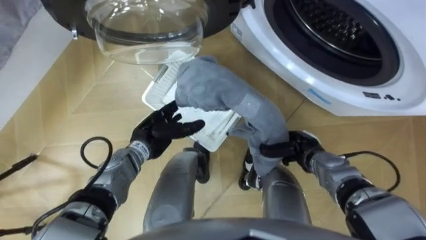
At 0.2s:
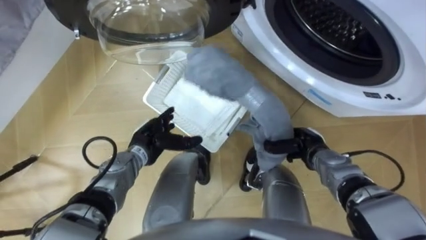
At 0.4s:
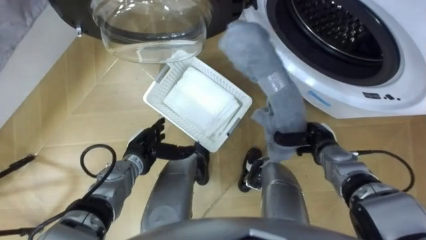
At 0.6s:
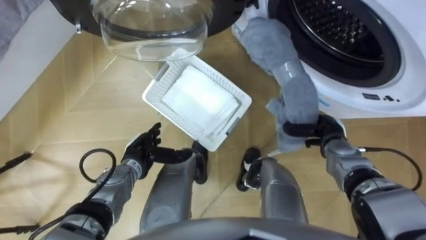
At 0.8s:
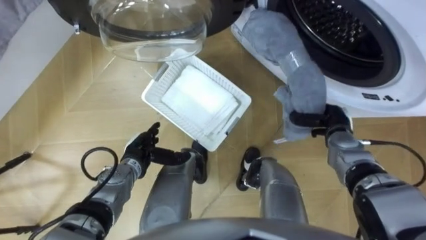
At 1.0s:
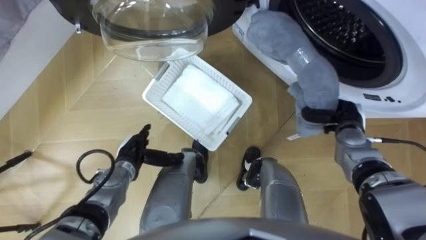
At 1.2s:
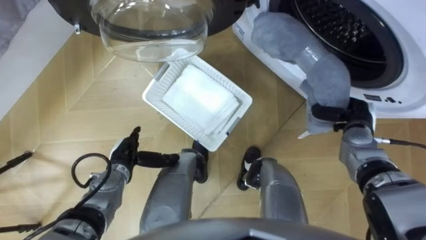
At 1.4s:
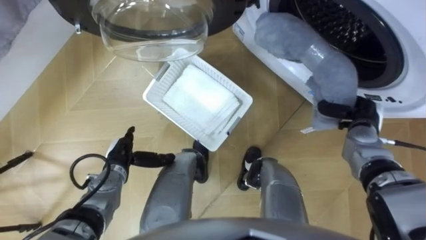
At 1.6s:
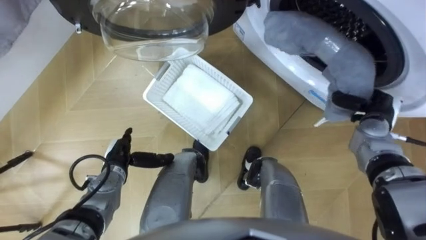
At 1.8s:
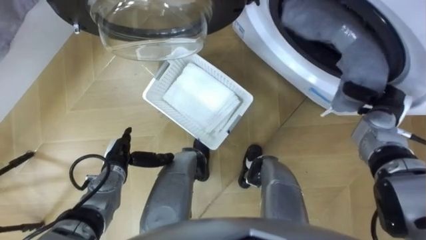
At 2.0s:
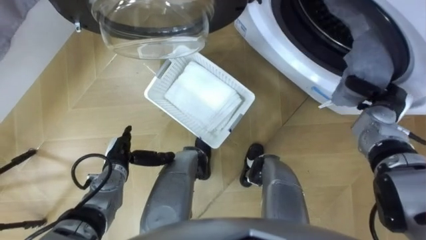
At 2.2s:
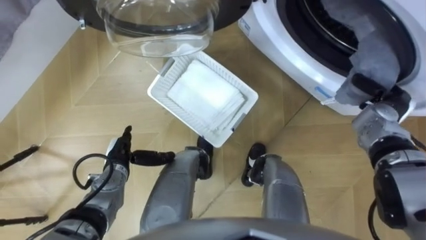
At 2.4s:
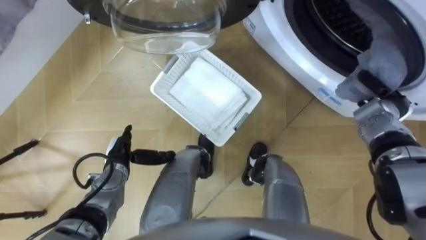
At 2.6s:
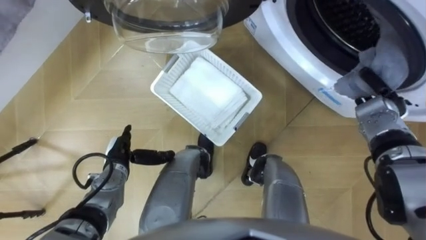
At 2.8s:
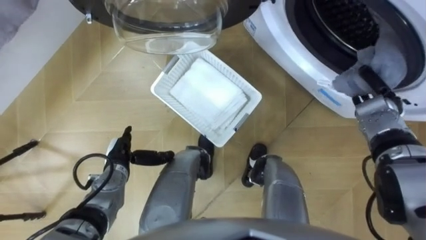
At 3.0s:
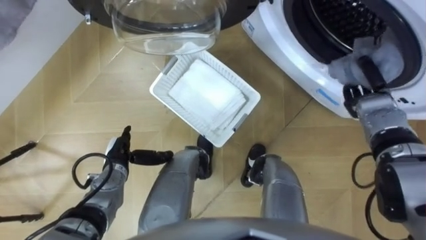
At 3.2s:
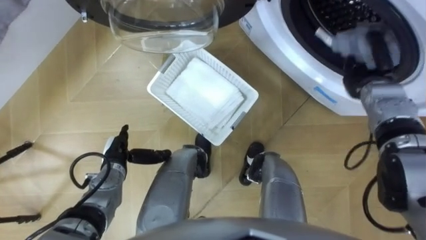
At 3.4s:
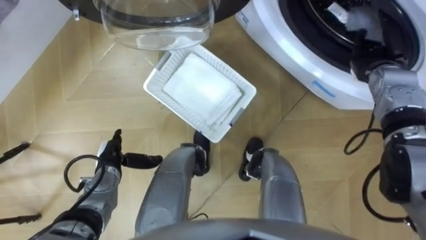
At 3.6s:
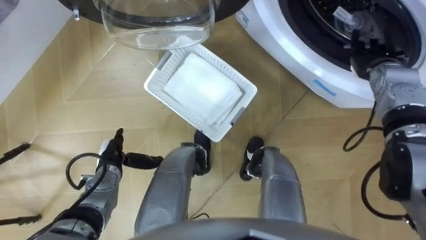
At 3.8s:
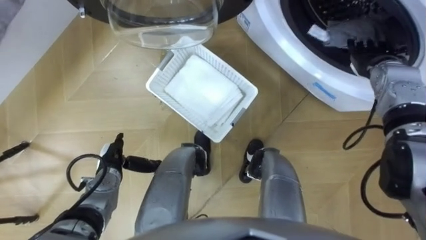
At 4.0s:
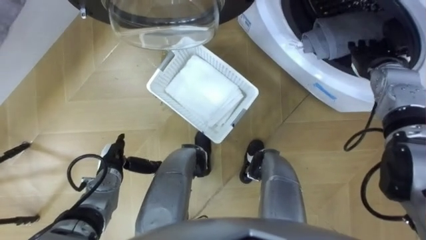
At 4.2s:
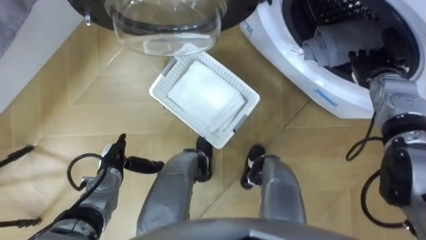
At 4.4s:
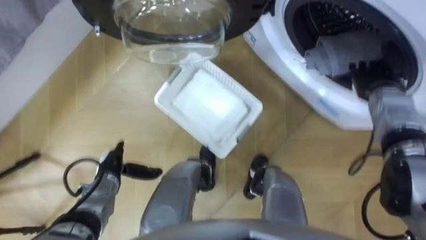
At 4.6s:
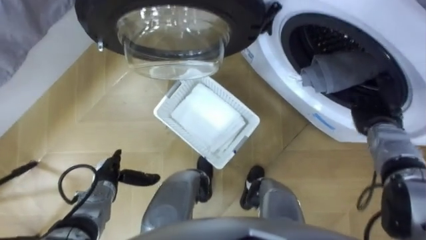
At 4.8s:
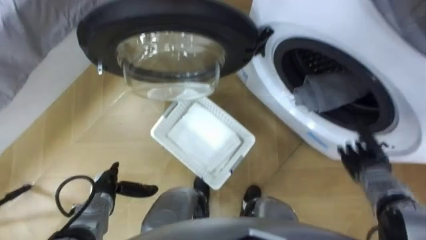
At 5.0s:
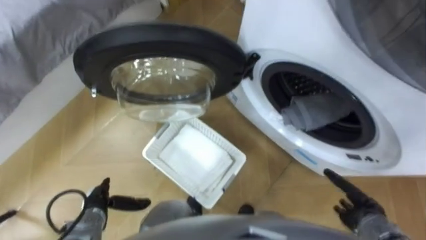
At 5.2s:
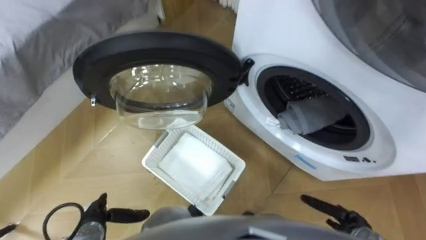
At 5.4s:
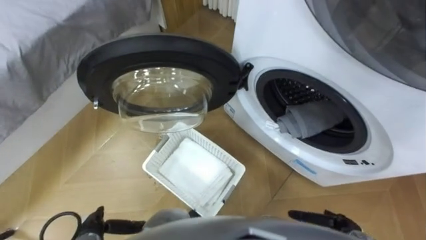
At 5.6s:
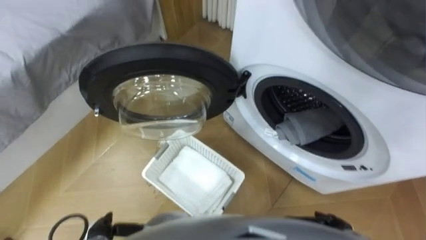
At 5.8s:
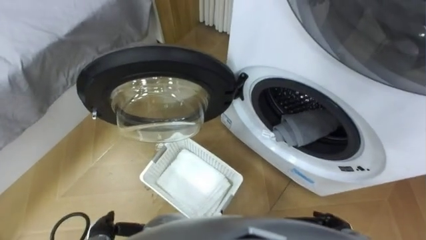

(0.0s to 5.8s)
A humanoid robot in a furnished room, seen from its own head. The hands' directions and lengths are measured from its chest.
Task of the whole recording: Take the towel from the basket and put it into the washing machine.
0.0s - 1.4s: The left hand goes approximately 10 cm to the left and backward. The right hand shifts approximately 15 cm to the right and upward.
2.8s - 4.4s: The right hand opens its fingers.
4.4s - 5.8s: The right hand goes about 35 cm backward and downward. The left hand goes roughly 15 cm backward.

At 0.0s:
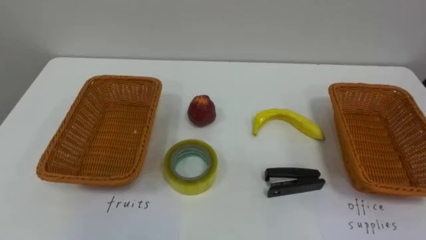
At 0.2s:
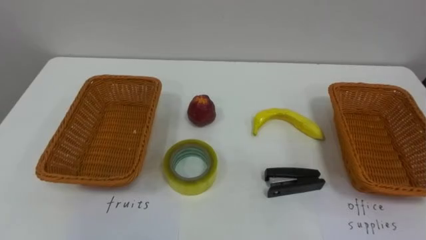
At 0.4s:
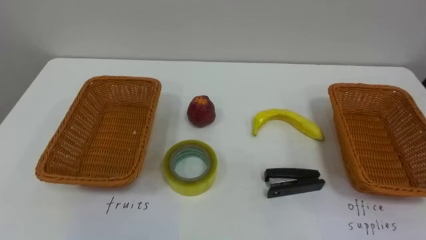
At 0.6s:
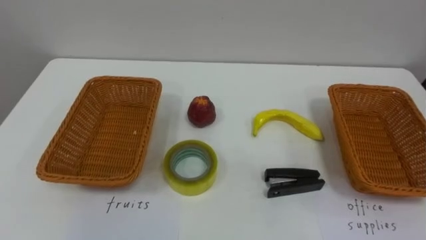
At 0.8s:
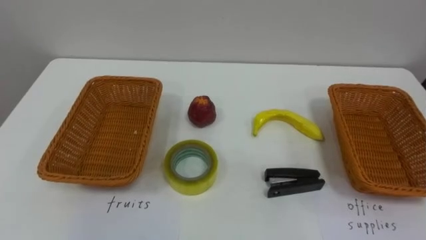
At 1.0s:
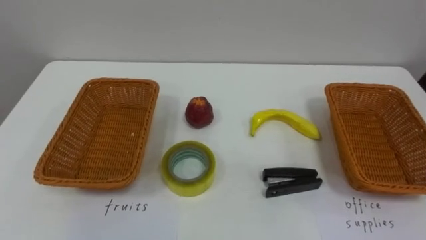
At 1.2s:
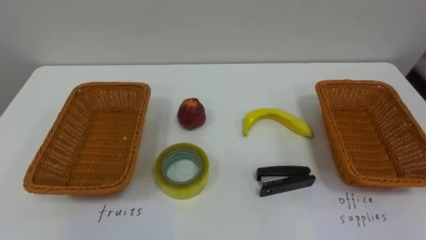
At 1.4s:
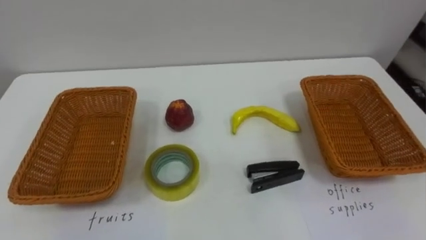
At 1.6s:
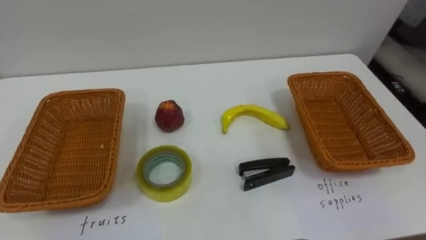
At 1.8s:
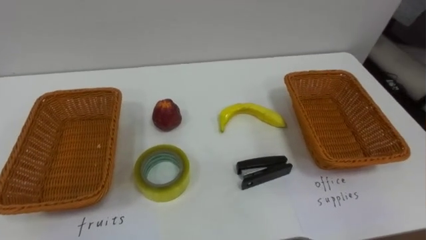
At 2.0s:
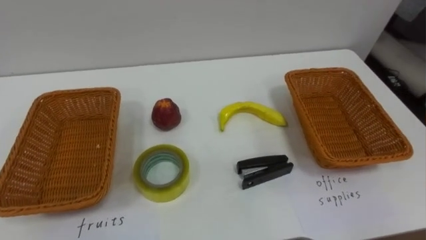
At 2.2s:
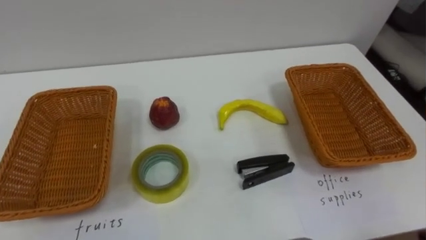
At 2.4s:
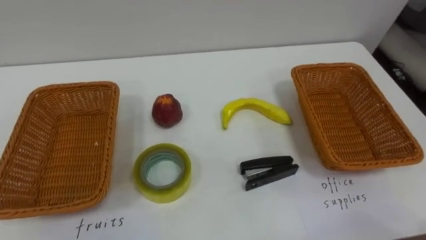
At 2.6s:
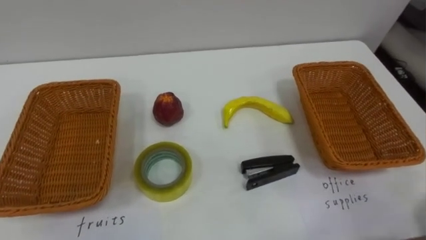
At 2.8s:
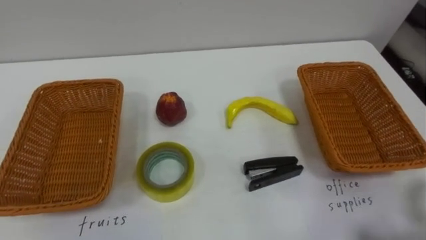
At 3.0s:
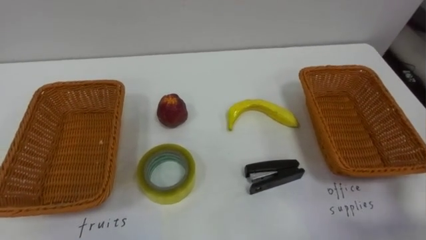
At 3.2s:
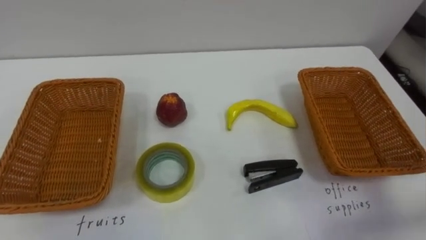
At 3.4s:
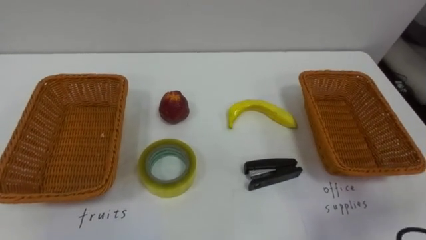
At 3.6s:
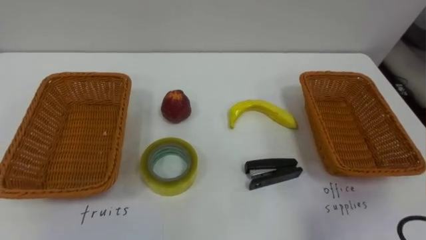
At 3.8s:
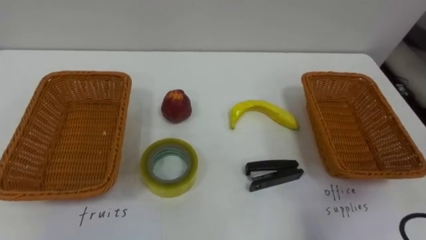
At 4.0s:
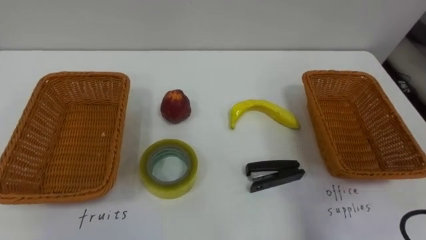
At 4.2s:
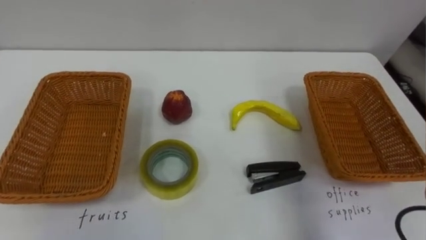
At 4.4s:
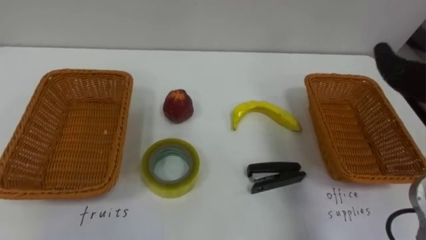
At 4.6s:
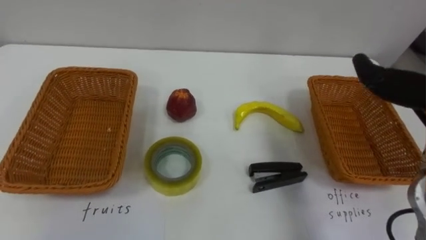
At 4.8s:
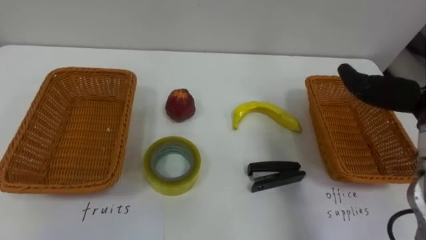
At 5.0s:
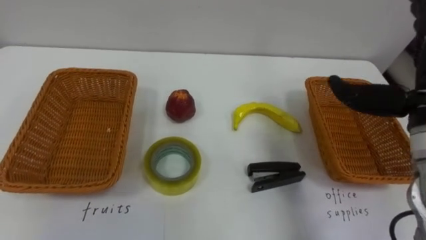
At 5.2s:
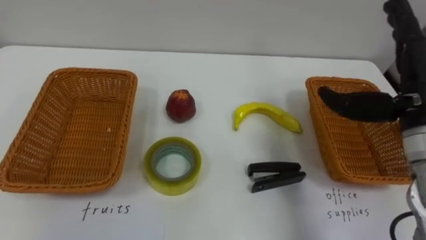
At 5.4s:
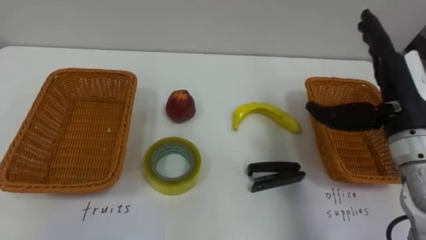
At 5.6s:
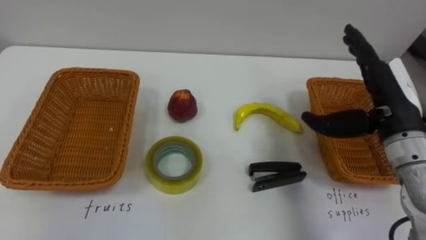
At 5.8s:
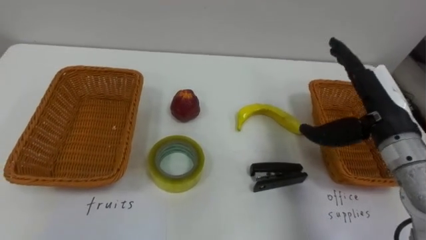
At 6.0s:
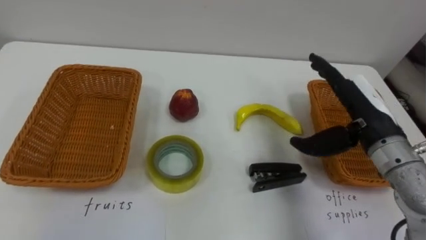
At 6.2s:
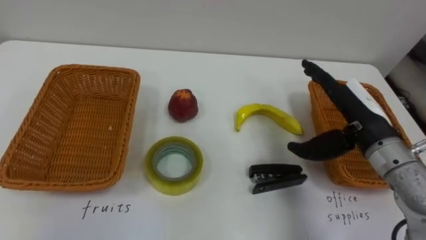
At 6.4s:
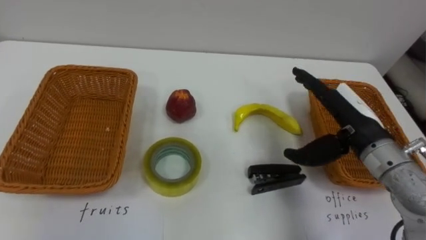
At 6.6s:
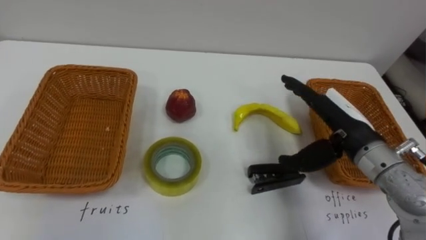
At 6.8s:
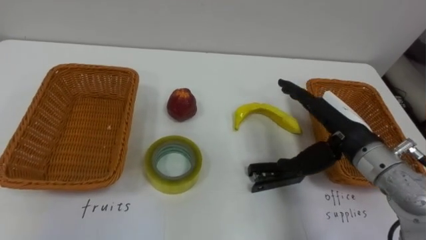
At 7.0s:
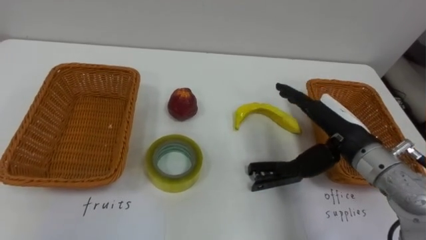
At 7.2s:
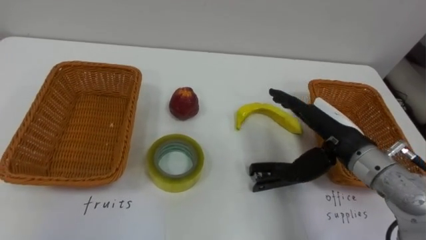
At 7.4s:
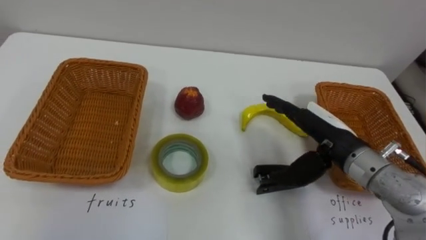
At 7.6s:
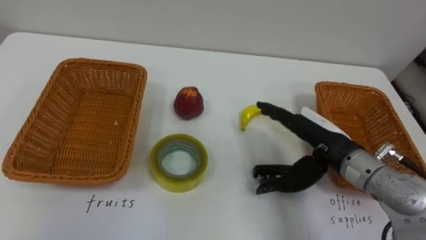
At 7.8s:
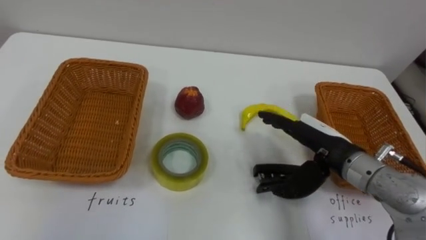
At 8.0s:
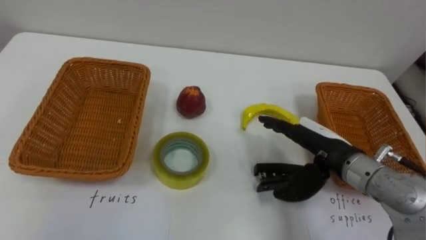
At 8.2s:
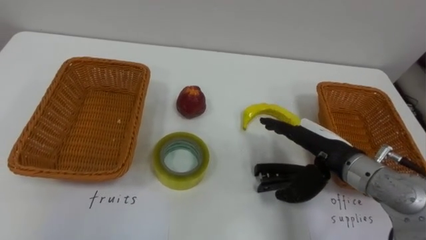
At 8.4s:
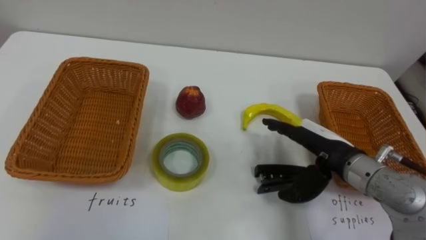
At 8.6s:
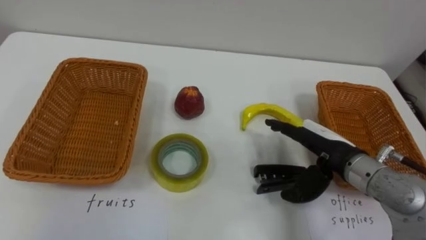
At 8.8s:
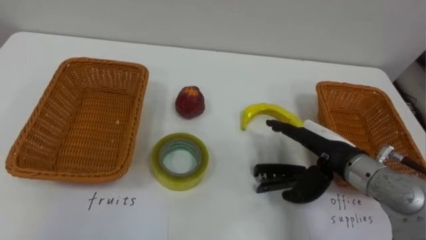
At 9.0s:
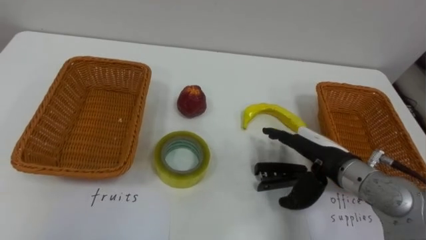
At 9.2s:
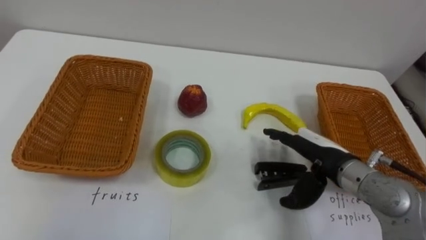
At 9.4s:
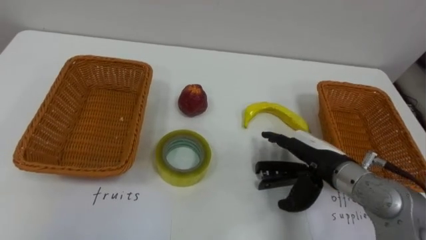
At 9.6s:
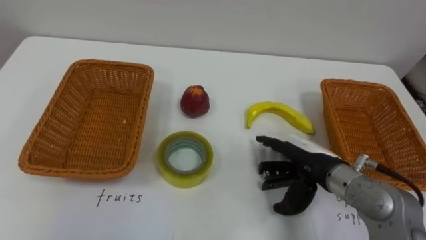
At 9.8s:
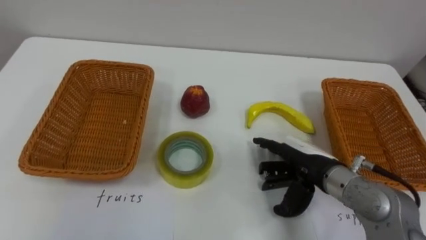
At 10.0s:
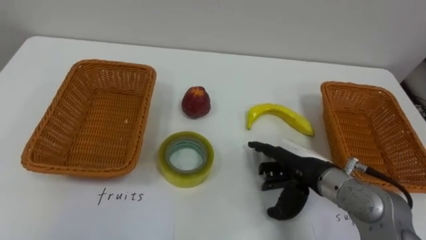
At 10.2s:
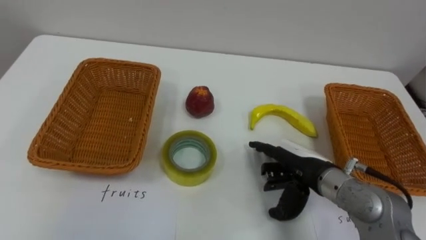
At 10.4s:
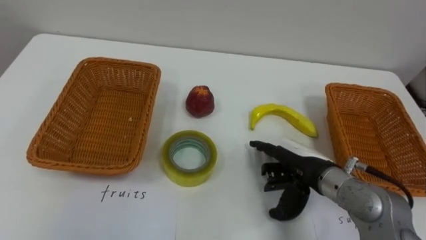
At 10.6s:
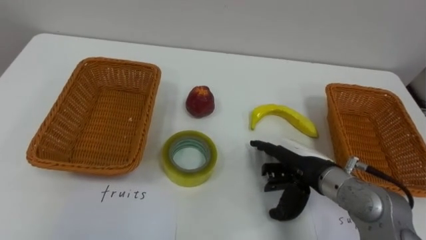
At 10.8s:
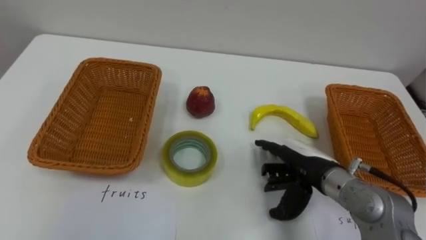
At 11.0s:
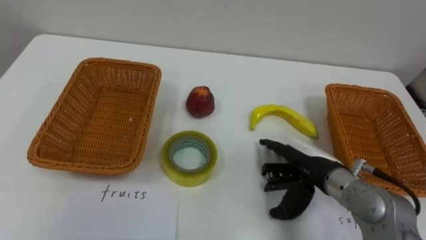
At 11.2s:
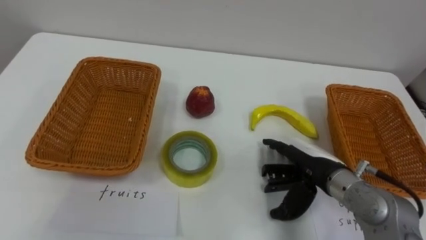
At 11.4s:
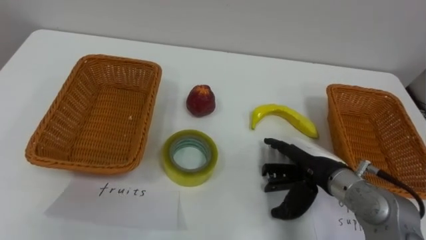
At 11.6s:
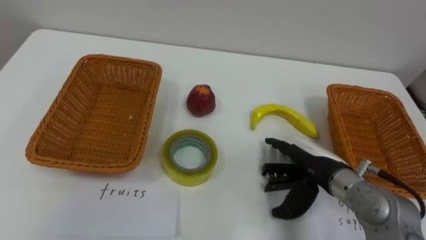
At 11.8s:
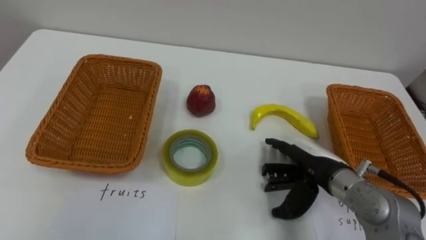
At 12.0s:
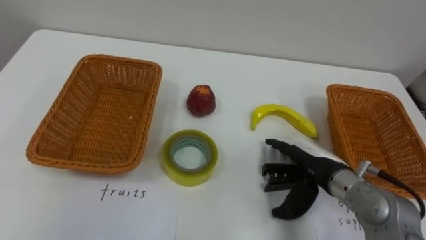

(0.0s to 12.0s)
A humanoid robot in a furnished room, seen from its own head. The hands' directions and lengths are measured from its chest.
Task of the whole recording: Separate the items on the table and place them into the two baskets.
6.0s - 7.6s: The right hand shifts roughly 5 cm to the left.
